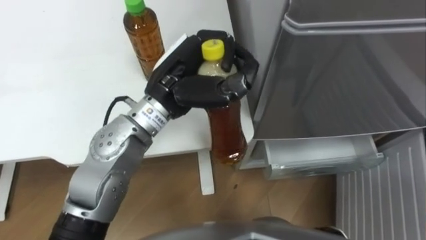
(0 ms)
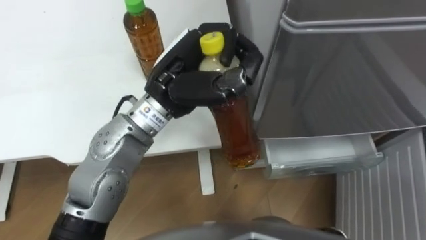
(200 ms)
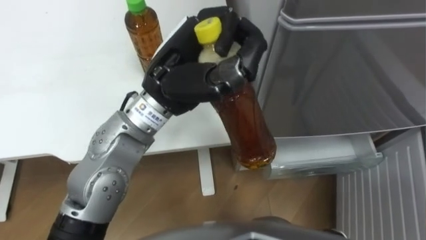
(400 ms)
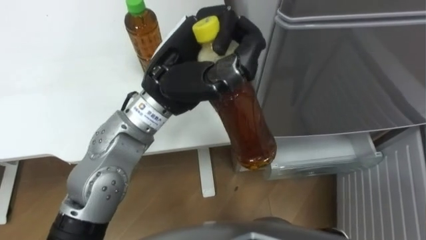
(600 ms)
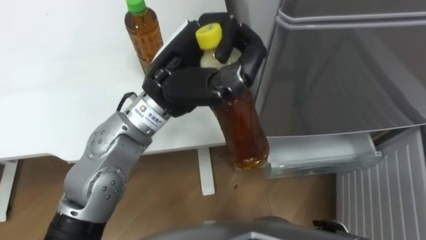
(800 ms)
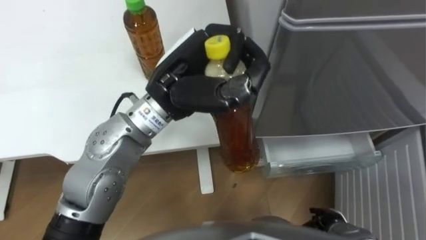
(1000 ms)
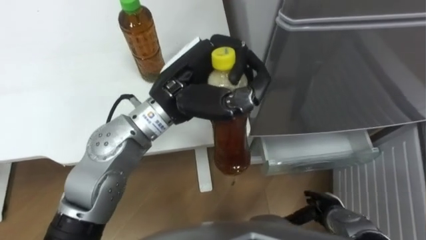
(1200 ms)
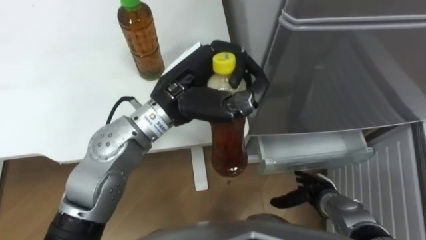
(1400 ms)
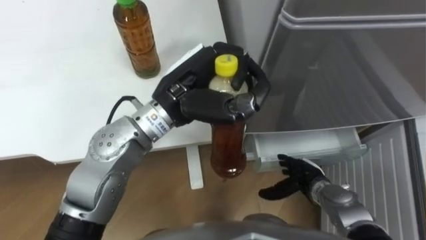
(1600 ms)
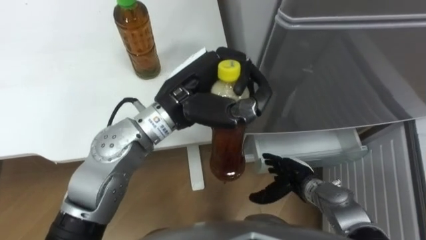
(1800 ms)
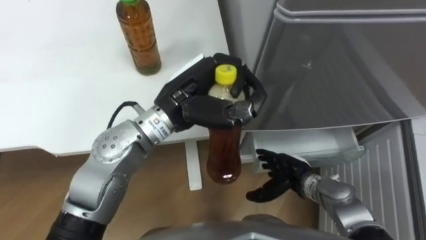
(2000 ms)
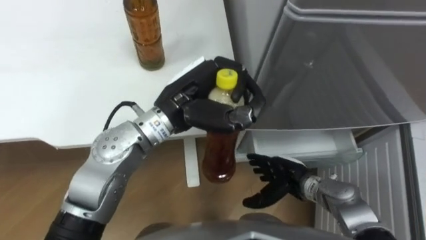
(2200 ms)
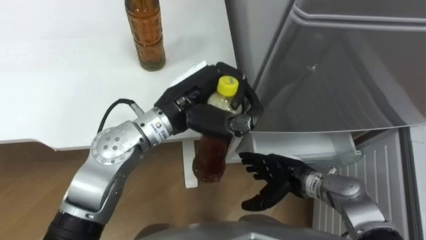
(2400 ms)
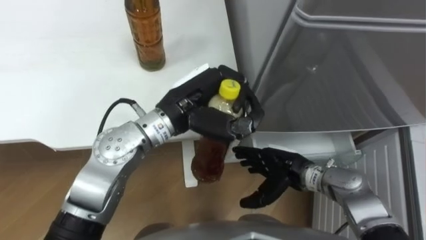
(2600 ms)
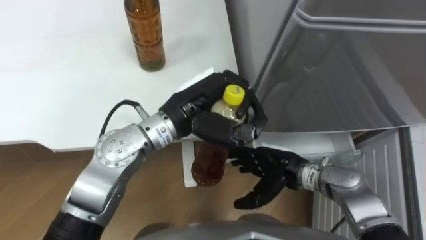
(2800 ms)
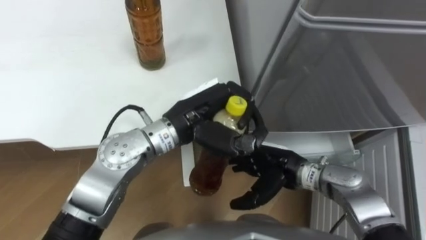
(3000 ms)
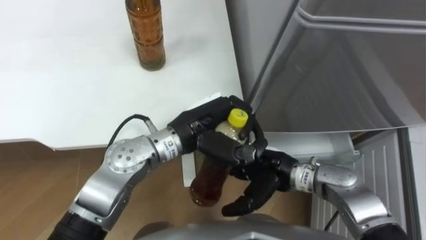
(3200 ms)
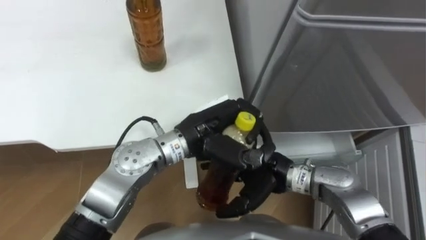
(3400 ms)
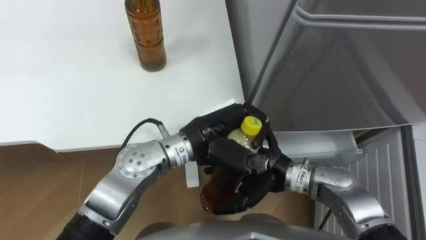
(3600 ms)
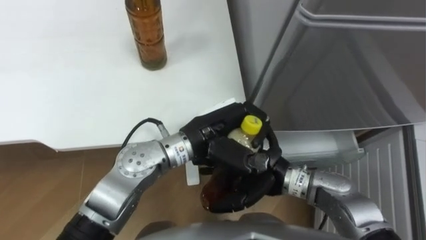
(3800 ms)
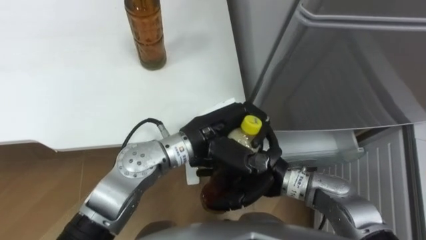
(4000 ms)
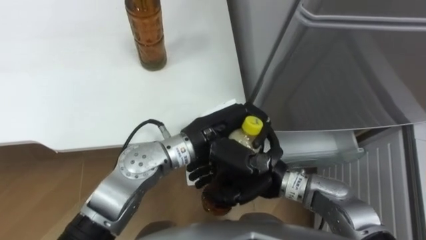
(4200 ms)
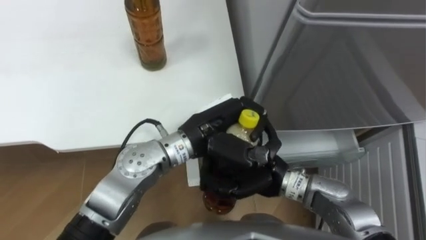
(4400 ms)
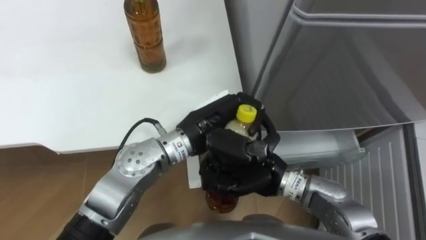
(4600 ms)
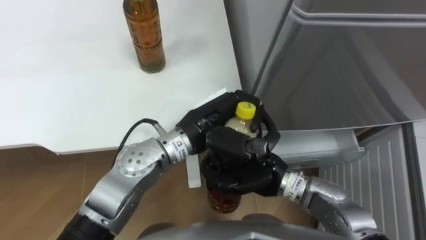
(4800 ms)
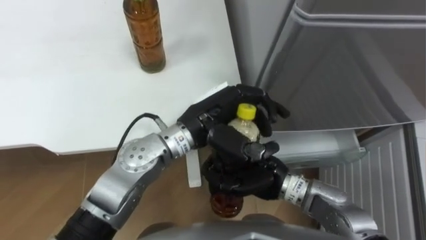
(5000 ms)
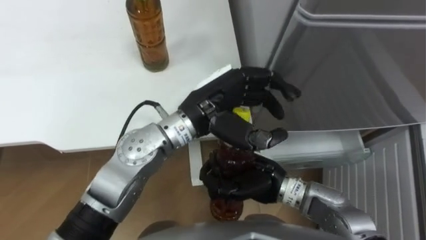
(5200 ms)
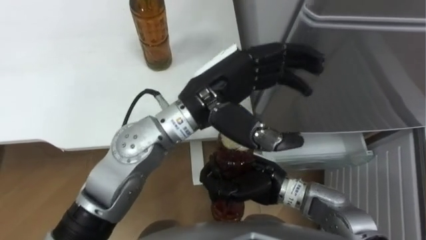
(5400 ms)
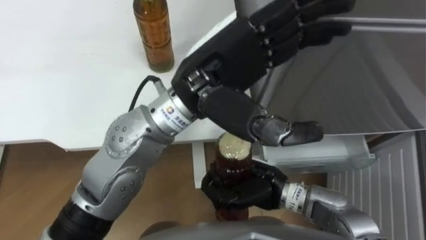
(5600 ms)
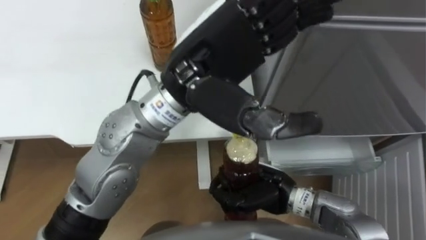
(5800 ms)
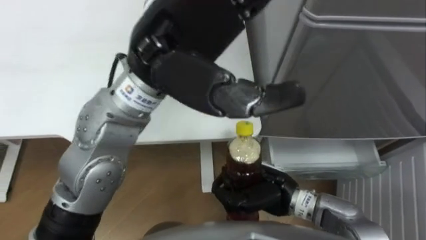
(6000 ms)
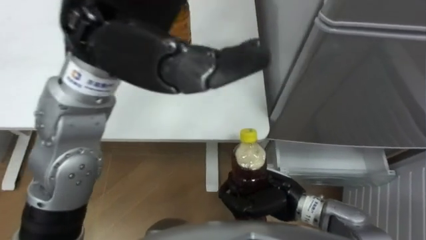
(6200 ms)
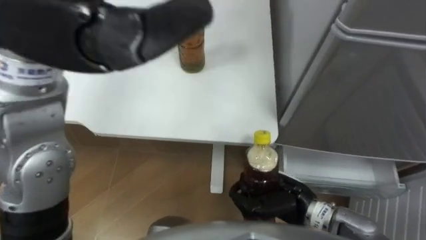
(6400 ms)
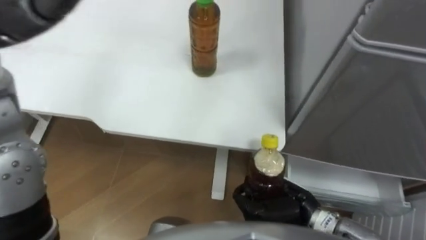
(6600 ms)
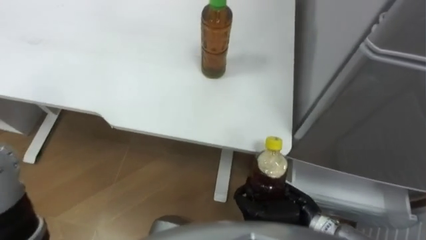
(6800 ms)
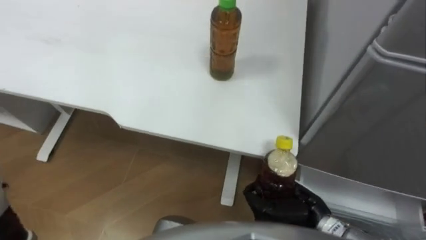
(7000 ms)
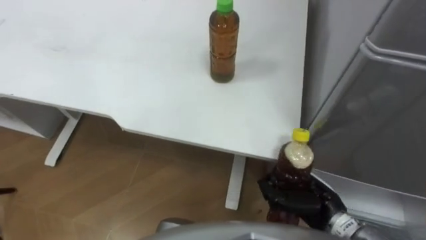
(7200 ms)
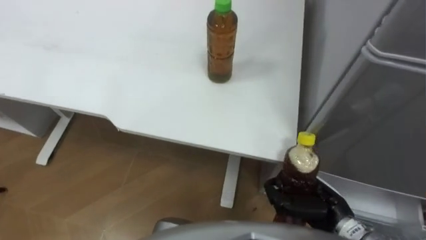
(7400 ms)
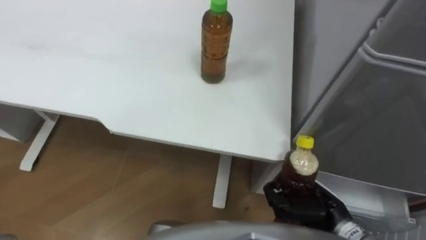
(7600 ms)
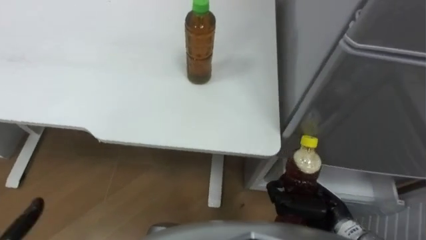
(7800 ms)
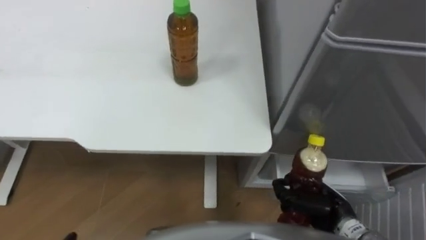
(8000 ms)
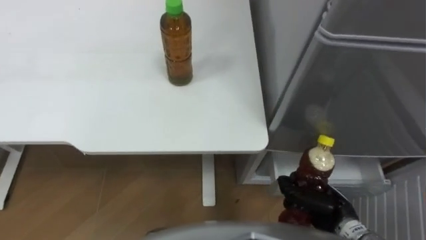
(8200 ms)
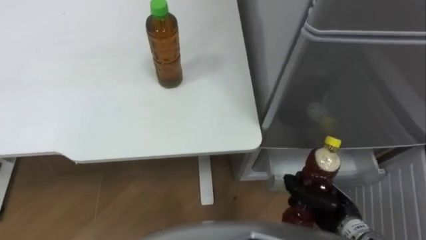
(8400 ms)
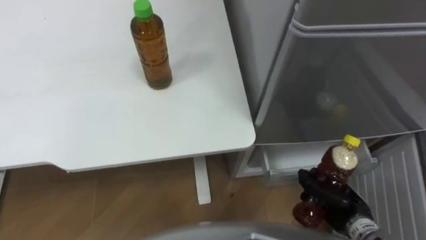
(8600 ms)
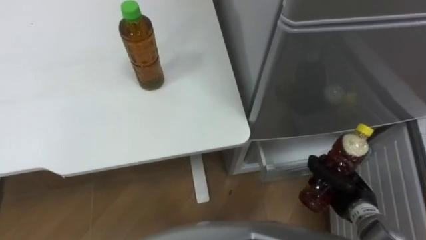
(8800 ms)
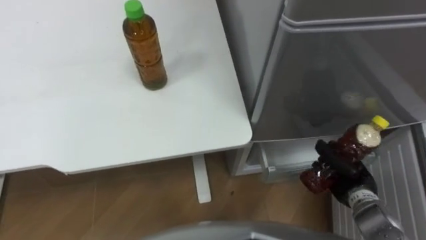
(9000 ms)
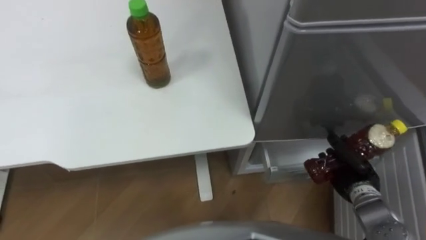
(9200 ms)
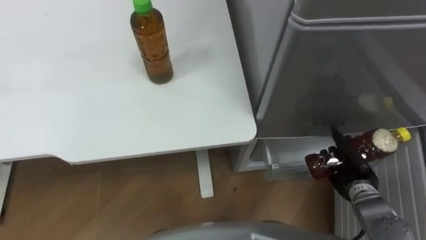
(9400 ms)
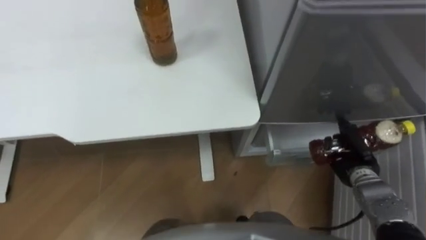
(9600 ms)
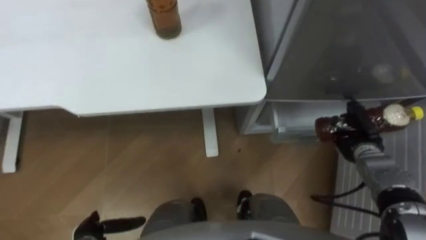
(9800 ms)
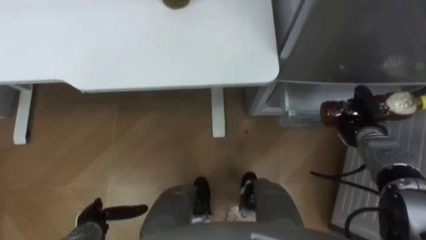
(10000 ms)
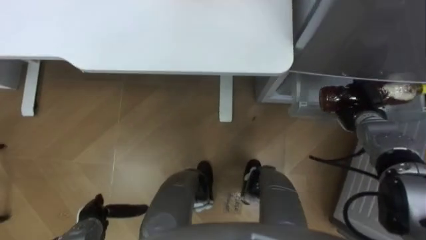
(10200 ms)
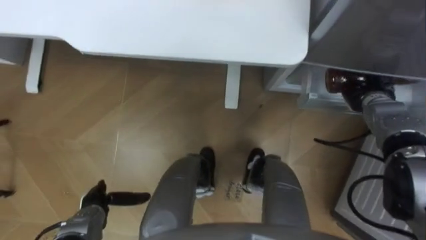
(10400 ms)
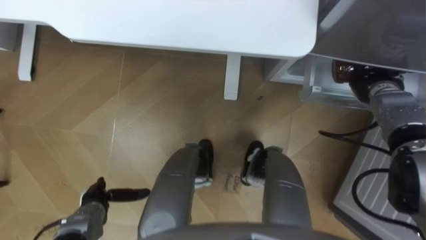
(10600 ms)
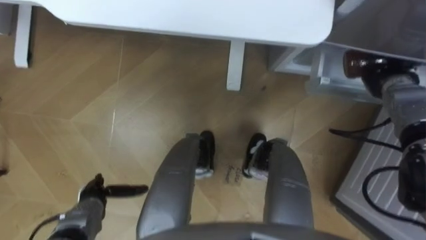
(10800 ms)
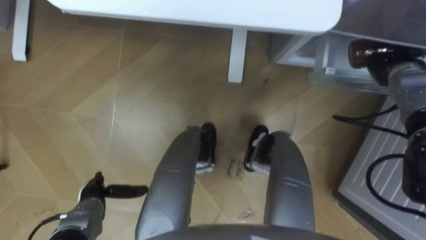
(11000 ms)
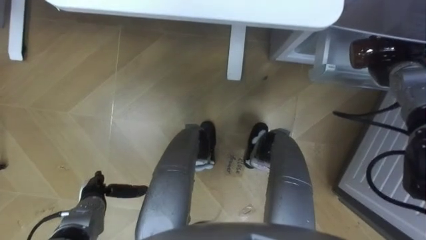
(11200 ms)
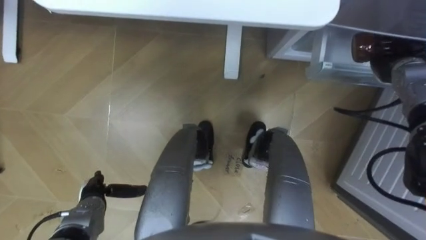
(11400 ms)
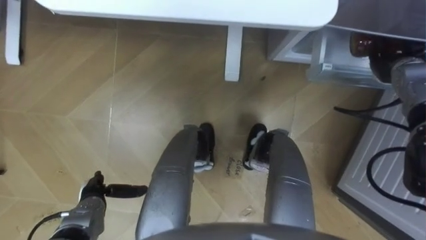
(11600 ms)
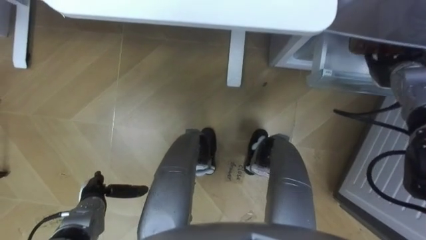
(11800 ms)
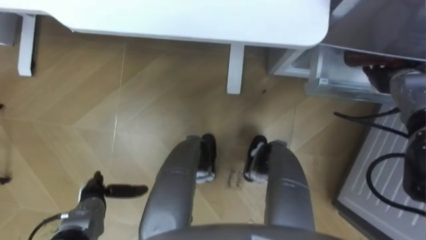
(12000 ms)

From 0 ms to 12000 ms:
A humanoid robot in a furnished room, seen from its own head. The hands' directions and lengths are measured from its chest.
Task of the whole recording: Place the drink on the table on the bottom shelf of the refrigerator, then close the drawer and the refrigerator door.
From 1600 ms to 3000 ms: The left hand shifts approximately 5 cm downward. The right hand heads upward and to the left, covering some 15 cm.
From 3000 ms to 4400 ms: The right hand goes some 5 cm to the left, and closes.
From 4400 ms to 6000 ms: The left hand moves upward, approximately 20 cm, and opens its fingers.
From 6000 ms to 7600 ms: The right hand goes roughly 10 cm to the right.
From 7600 ms to 9000 ms: The right hand shifts approximately 10 cm to the right and forward.
From 9000 ms to 10400 ms: The right hand heads forward, covering about 15 cm.
From 10400 ms to 12000 ms: The right hand moves approximately 5 cm, and opens up.

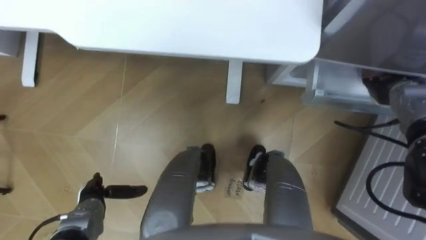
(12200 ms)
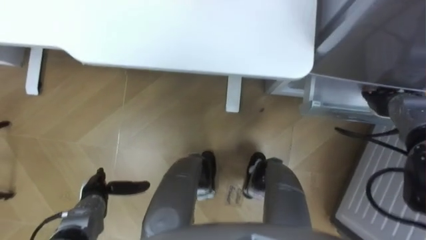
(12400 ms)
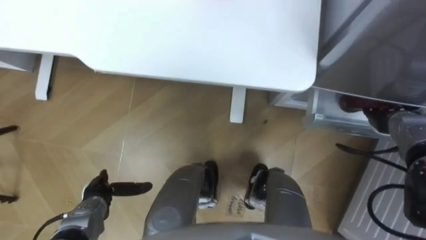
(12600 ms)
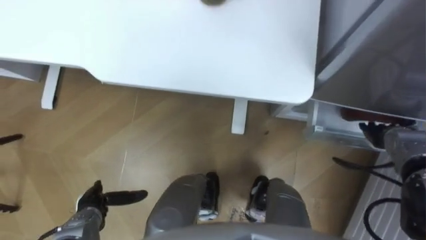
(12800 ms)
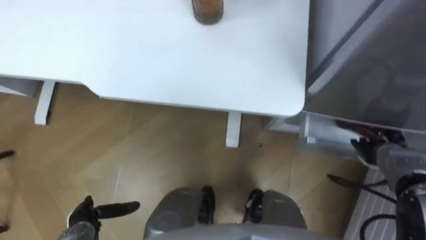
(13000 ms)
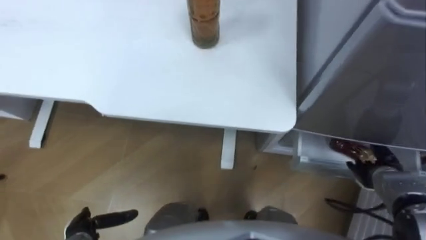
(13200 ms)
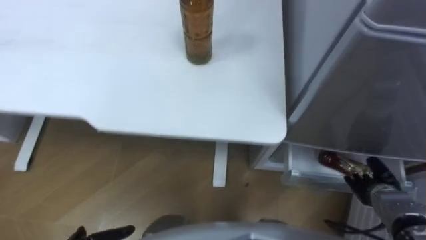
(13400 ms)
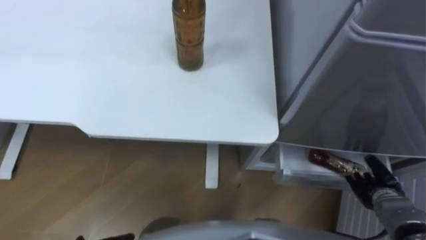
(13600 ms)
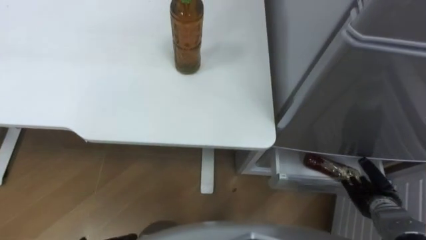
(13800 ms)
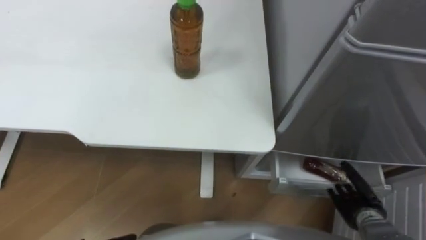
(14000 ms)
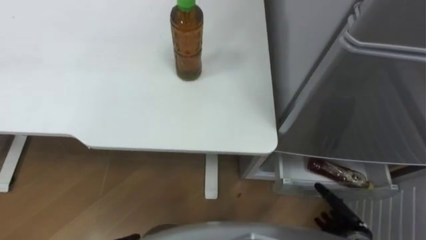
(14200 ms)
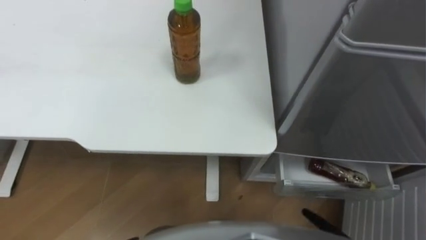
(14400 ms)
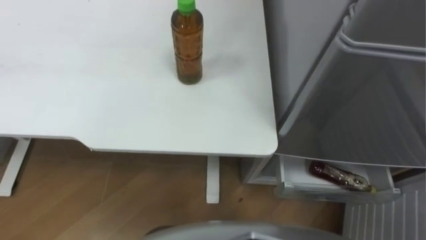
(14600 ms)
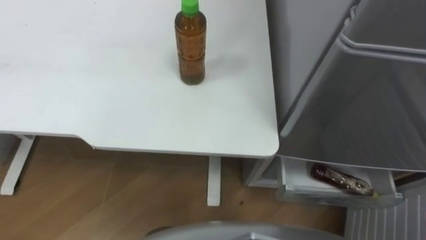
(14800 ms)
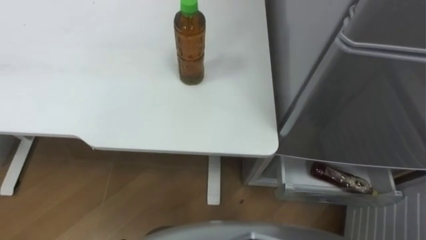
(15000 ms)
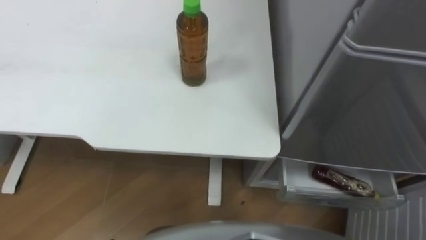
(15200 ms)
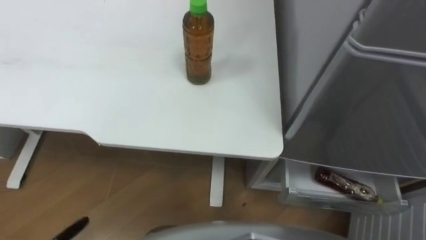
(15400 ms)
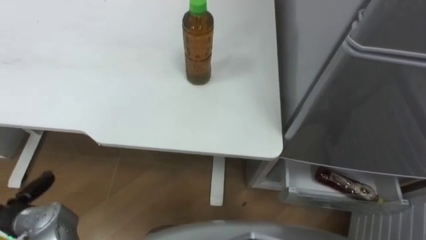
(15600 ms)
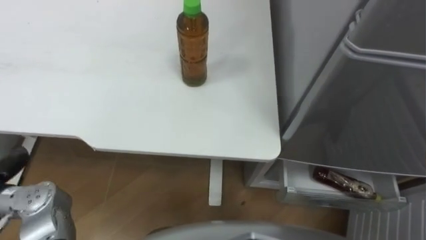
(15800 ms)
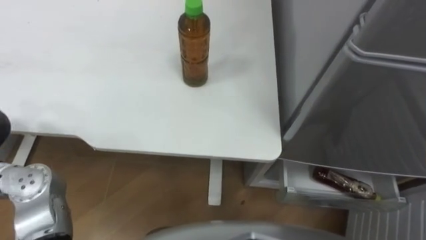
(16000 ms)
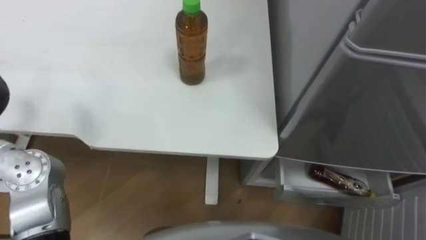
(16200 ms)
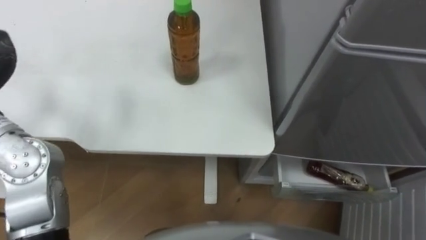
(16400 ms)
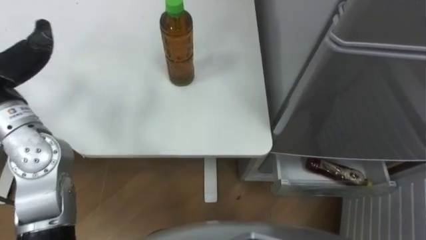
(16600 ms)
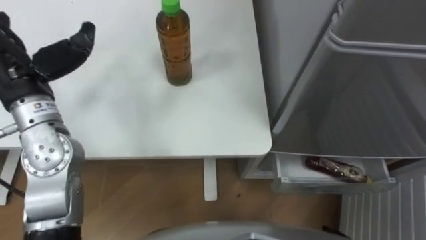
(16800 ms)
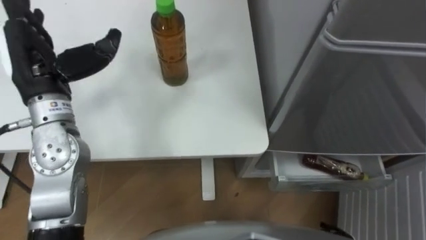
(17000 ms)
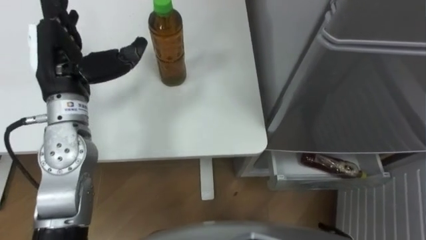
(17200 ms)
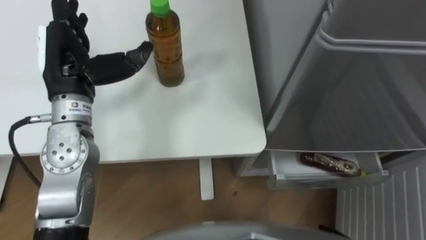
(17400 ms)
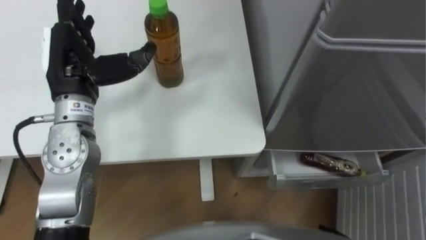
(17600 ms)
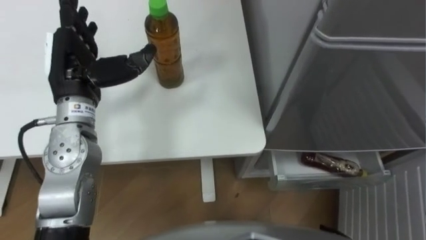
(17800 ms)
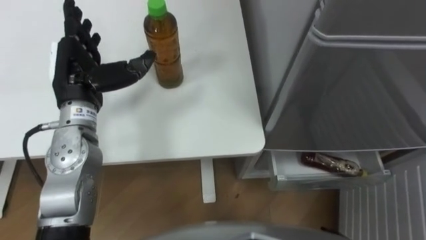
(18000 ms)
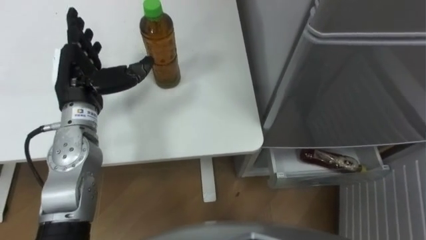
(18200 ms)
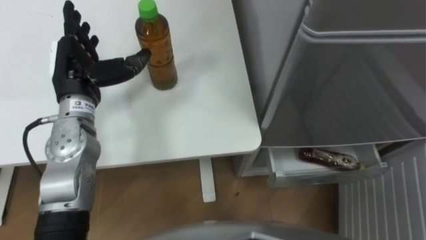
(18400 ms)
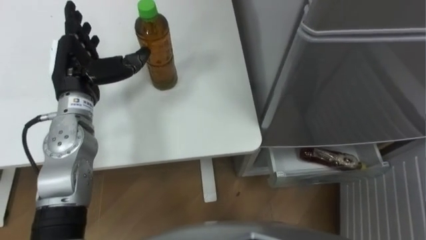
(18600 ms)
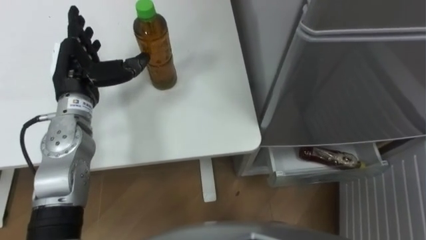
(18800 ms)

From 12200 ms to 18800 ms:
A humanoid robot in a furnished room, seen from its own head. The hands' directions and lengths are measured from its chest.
Task of the whole recording: Place the drink on the table on the bottom shelf of the refrigerator, then close the drawer and the refrigerator door.
From 12200 ms to 13800 ms: The right hand is displaced backward and downward by approximately 25 cm.
From 17200 ms to 18800 ms: The left hand goes about 5 cm downward.
